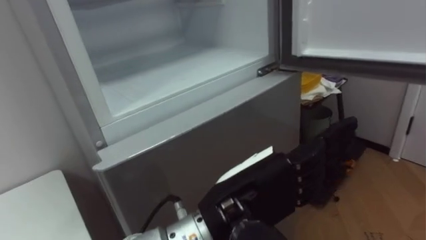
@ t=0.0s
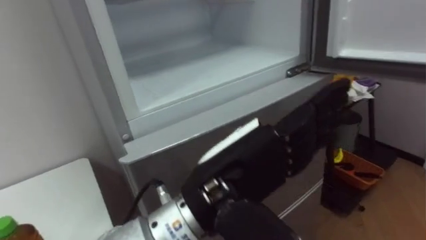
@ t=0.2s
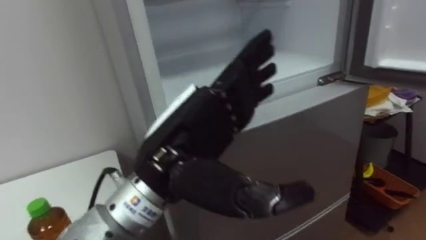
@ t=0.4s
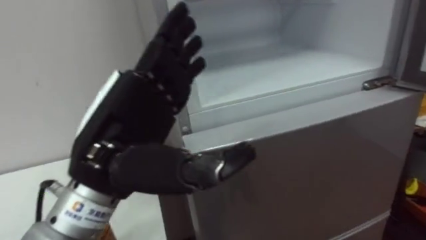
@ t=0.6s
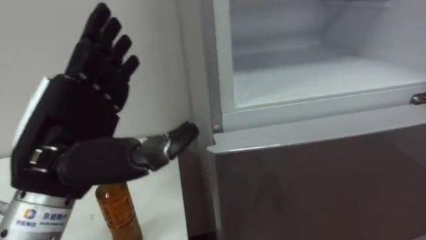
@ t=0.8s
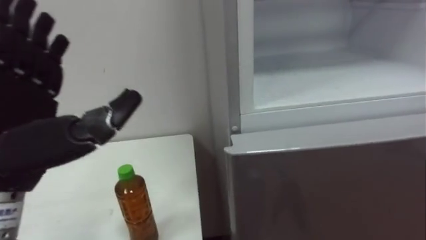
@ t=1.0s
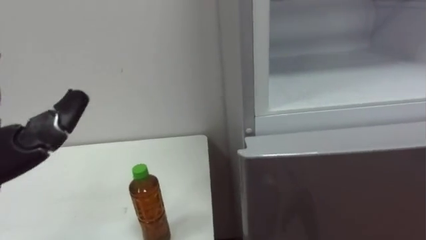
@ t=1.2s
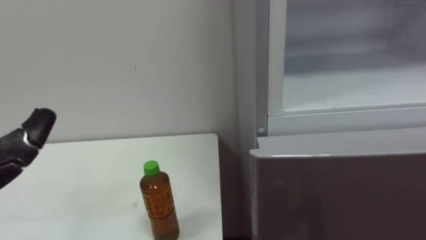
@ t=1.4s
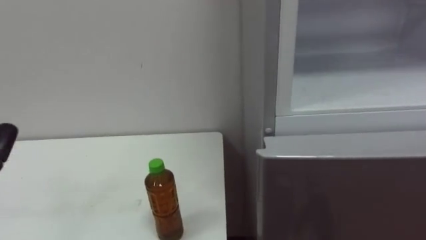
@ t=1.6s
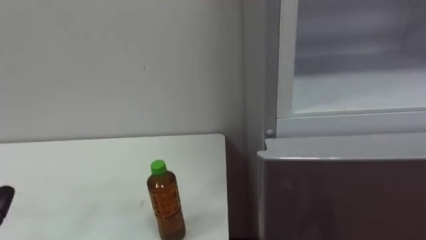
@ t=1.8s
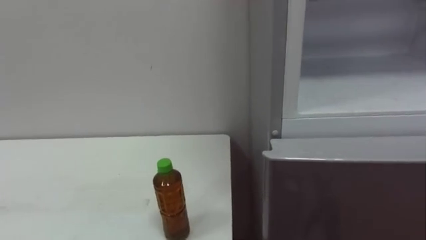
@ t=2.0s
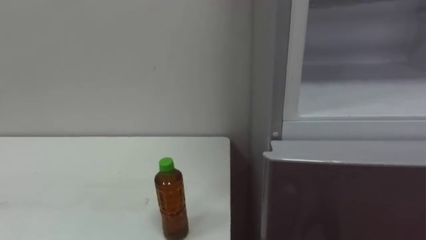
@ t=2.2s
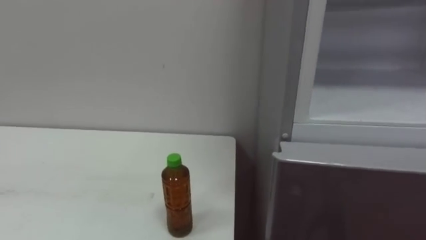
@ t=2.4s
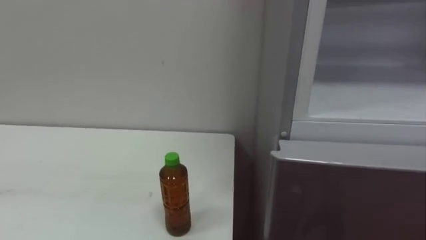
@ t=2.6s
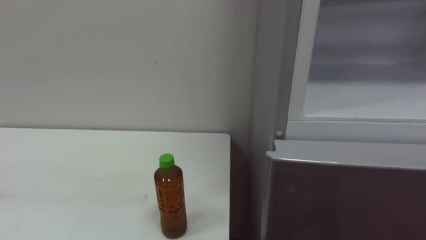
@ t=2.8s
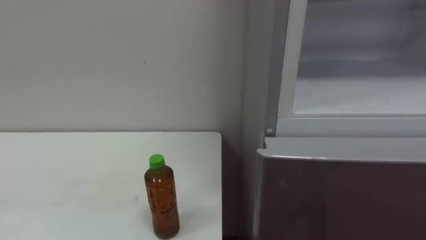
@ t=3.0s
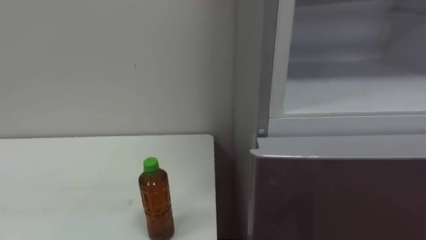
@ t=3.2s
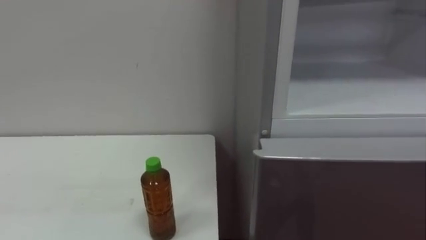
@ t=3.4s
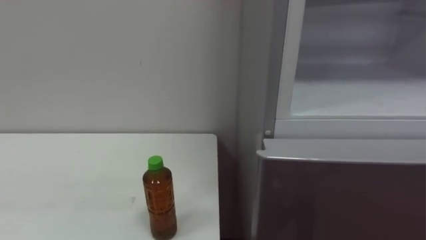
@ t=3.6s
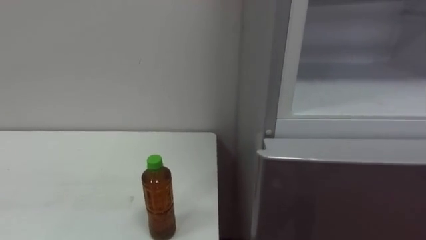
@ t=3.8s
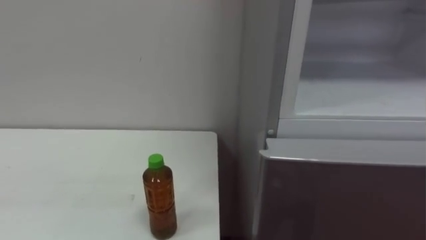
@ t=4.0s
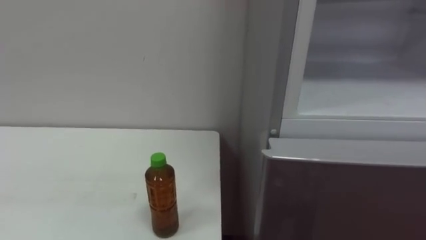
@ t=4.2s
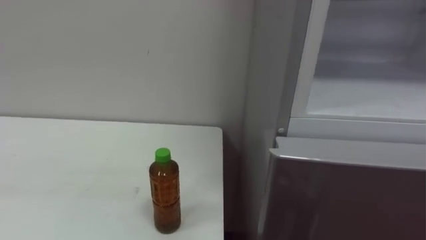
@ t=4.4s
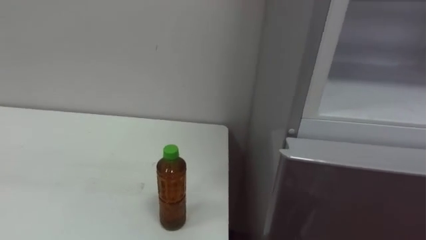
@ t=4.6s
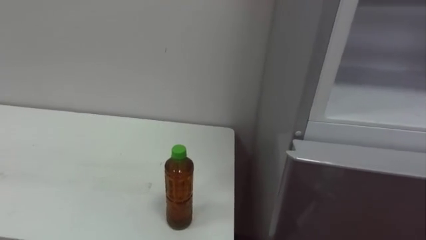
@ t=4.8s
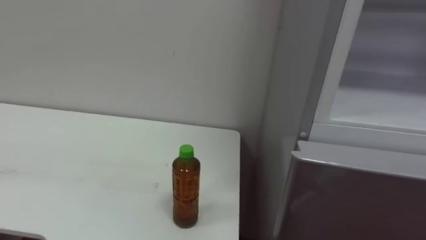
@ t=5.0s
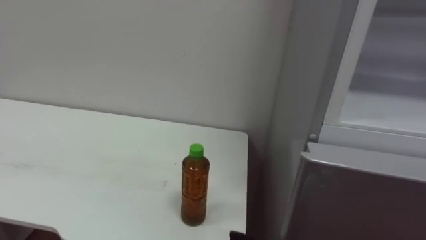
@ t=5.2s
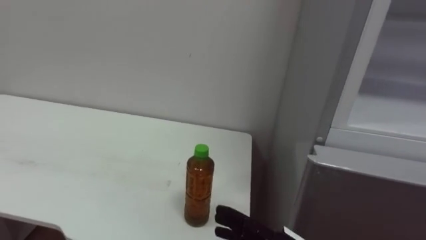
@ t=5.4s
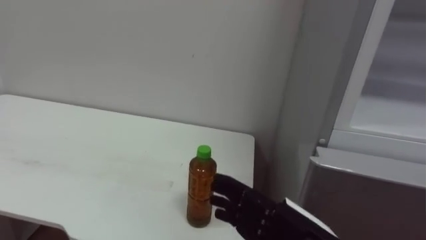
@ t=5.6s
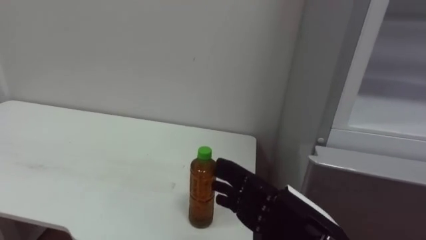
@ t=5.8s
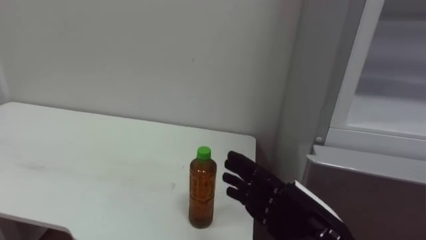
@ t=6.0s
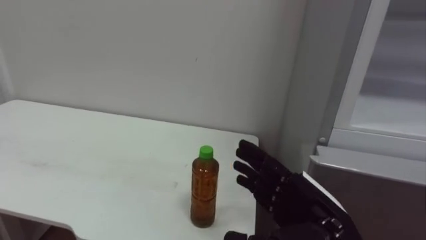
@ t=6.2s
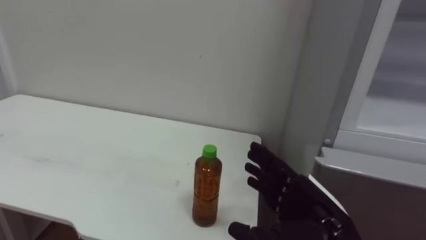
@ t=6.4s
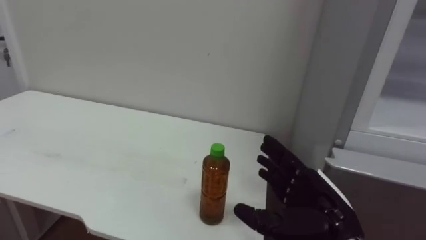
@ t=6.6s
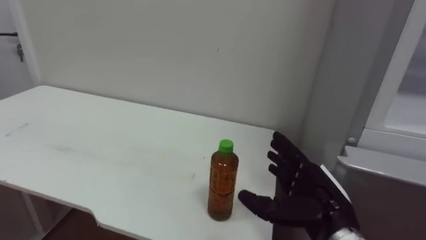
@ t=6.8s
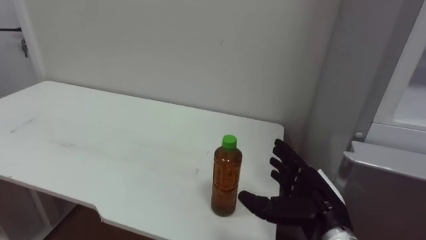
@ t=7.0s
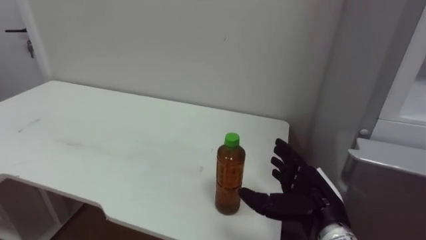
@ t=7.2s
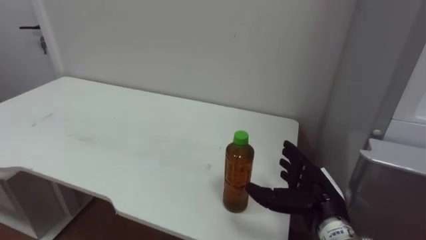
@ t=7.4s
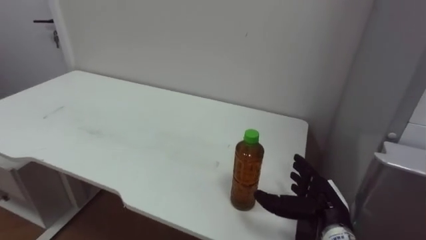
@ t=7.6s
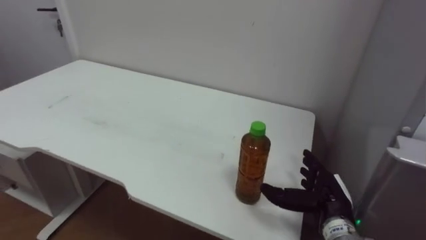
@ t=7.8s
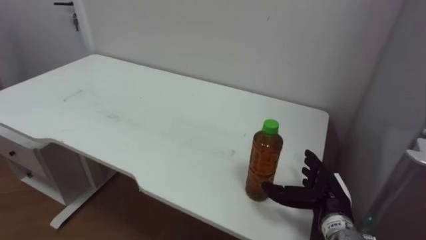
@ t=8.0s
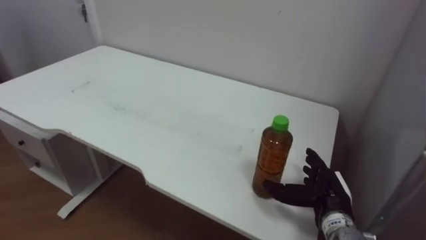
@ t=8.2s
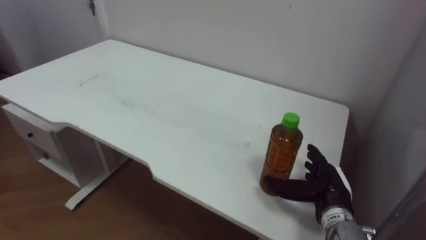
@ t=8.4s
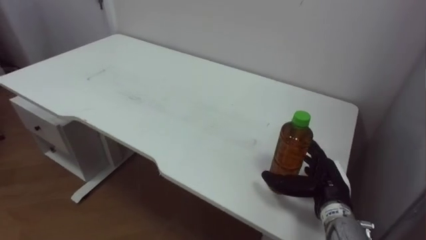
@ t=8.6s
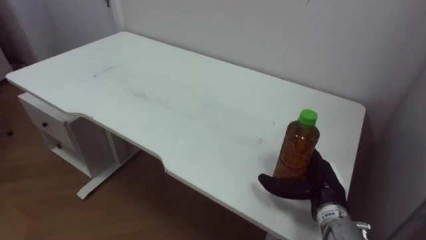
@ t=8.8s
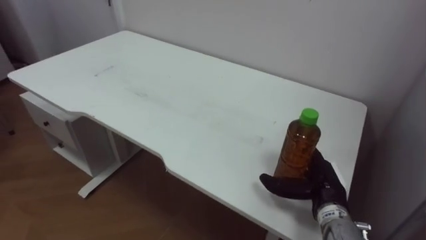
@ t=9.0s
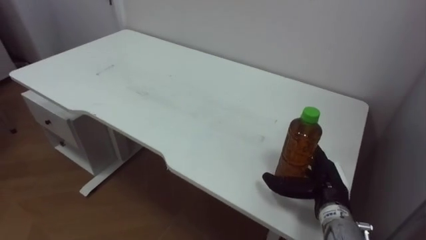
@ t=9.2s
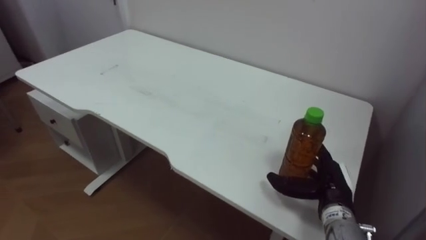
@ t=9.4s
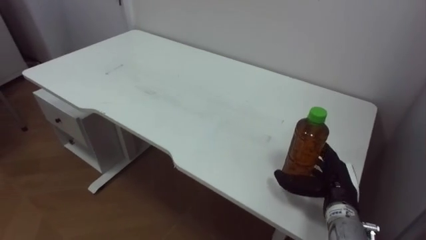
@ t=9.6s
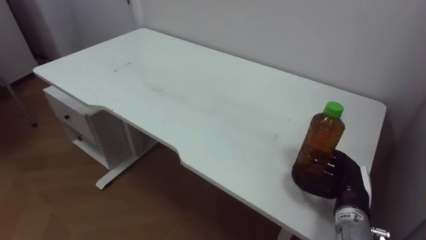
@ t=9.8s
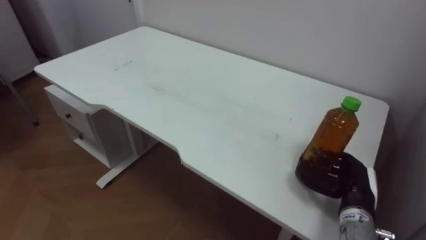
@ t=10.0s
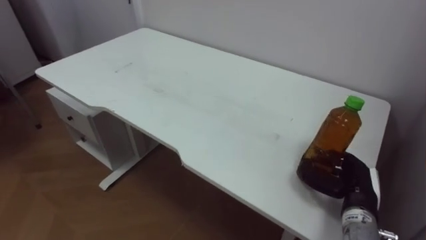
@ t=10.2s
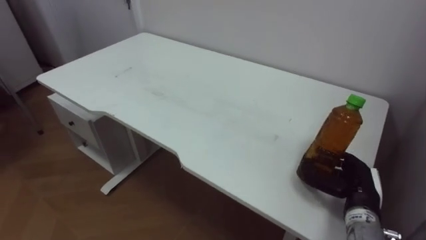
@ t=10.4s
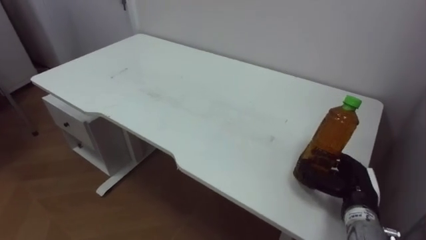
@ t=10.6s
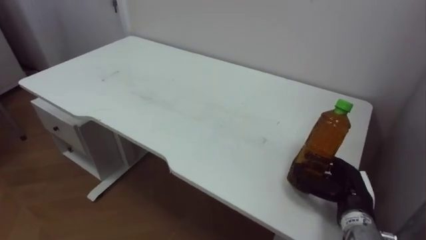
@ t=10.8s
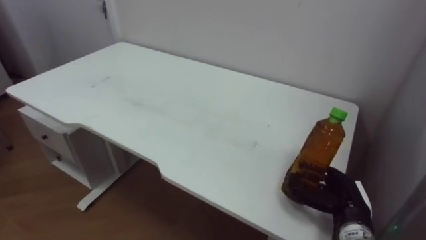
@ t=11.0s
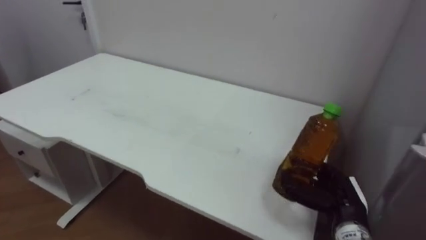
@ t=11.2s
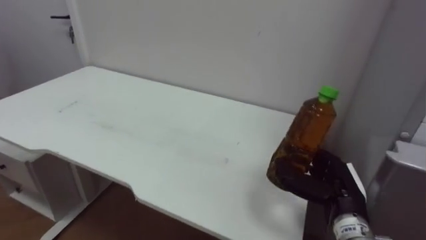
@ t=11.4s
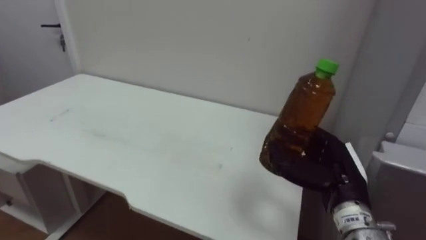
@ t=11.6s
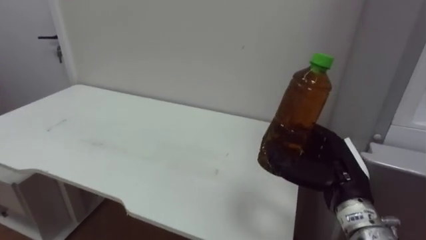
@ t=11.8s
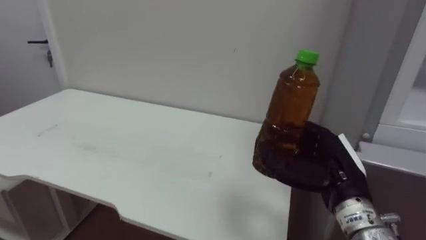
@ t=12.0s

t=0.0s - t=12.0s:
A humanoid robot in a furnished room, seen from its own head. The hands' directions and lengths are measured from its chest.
Task of the whole recording: Open the upper refrigerator door, put the drink from the table into the refrigerator, and then close the refrigerator door.
t=6.0s - t=7.6s: The right hand moves forward, downward and to the right, roughly 15 cm.
t=9.0s - t=10.4s: The right hand heads to the right, covering approximately 5 cm, and closes up.
t=10.4s - t=12.0s: The right hand goes roughly 10 cm upward and to the left.

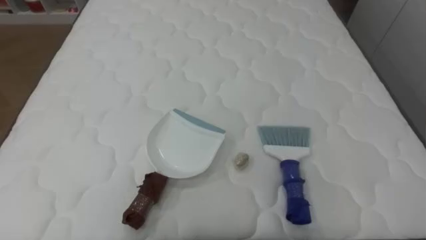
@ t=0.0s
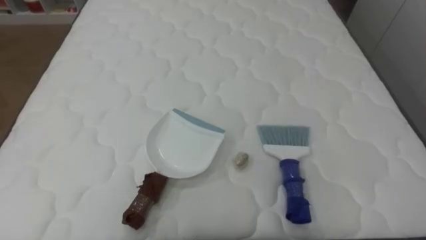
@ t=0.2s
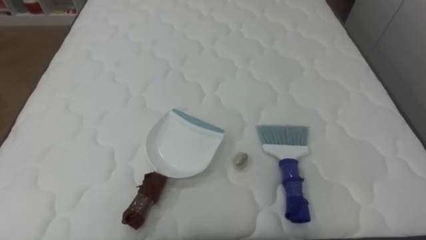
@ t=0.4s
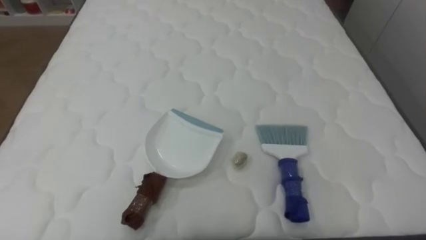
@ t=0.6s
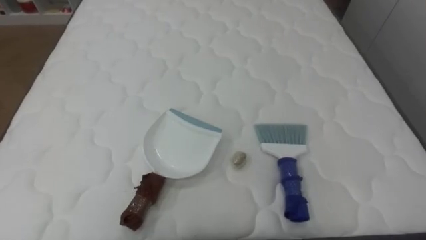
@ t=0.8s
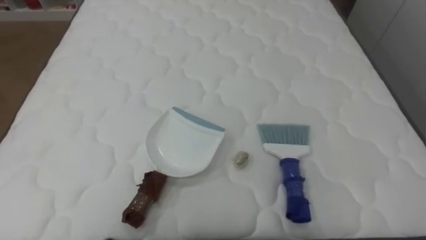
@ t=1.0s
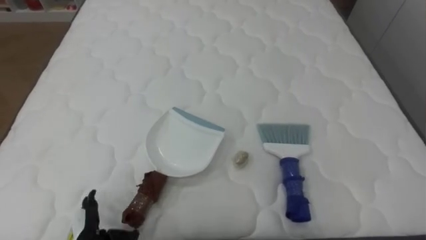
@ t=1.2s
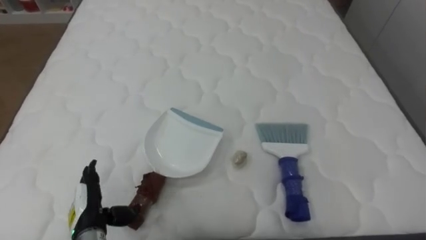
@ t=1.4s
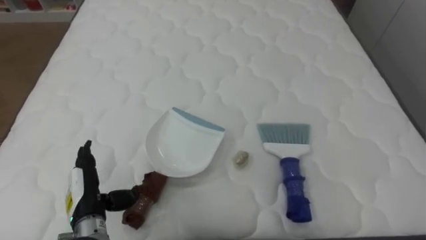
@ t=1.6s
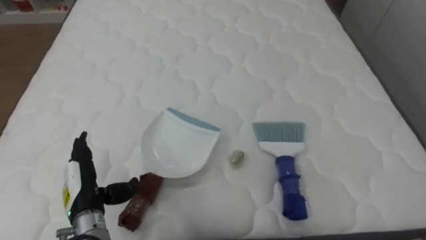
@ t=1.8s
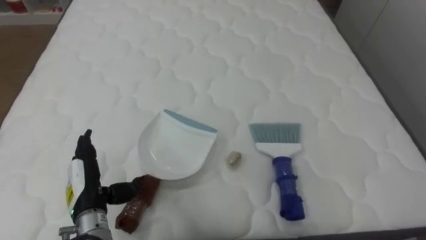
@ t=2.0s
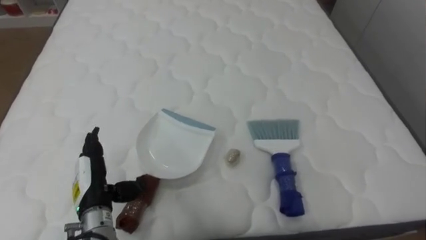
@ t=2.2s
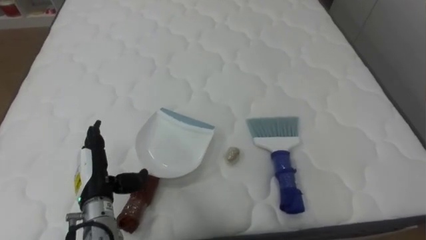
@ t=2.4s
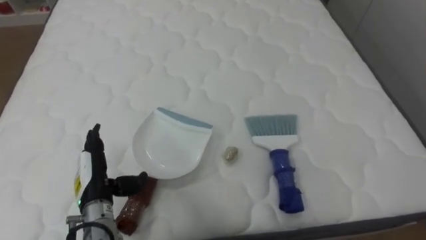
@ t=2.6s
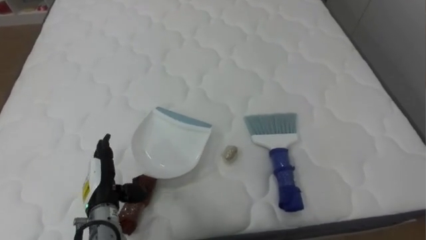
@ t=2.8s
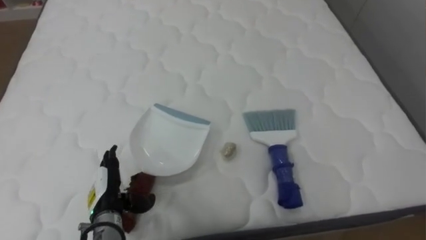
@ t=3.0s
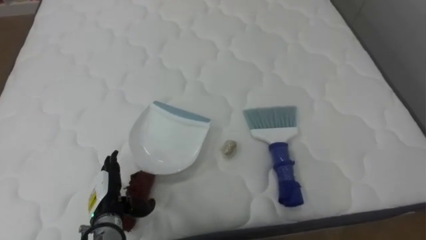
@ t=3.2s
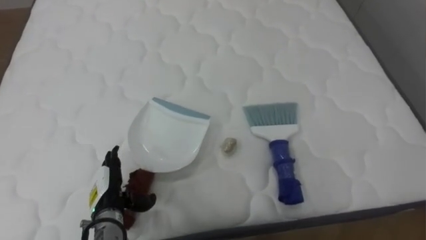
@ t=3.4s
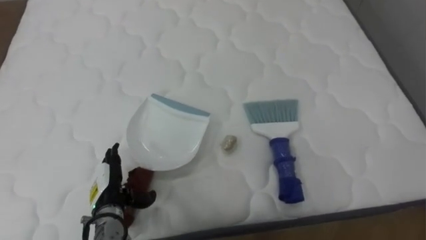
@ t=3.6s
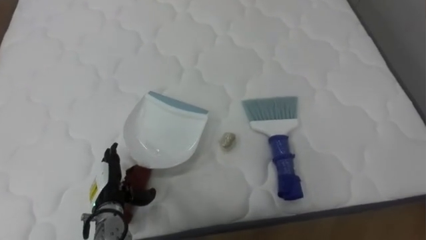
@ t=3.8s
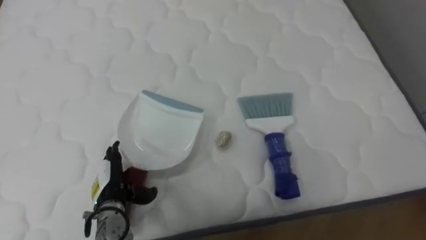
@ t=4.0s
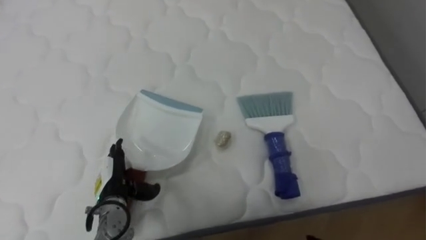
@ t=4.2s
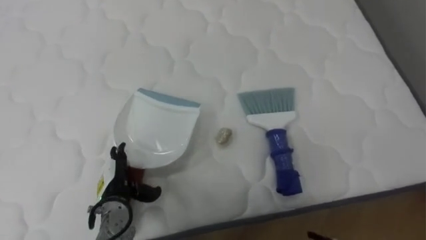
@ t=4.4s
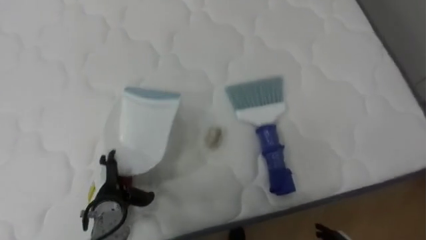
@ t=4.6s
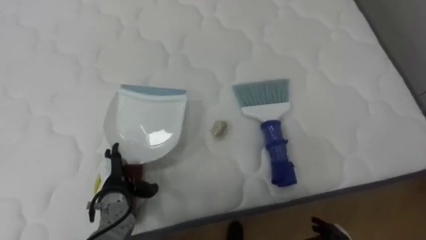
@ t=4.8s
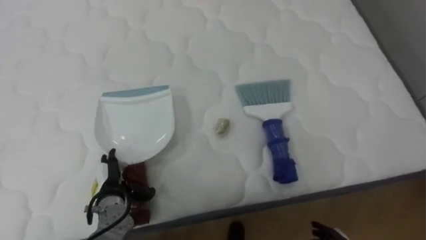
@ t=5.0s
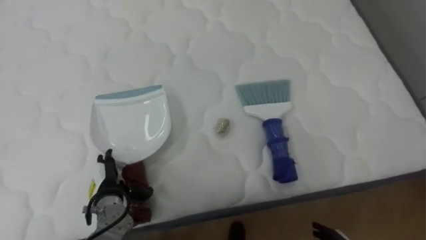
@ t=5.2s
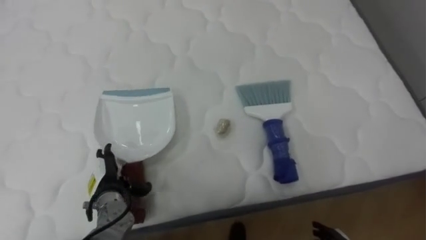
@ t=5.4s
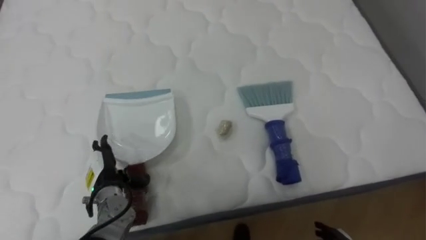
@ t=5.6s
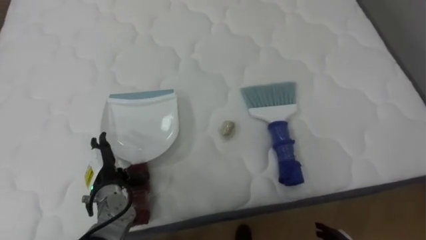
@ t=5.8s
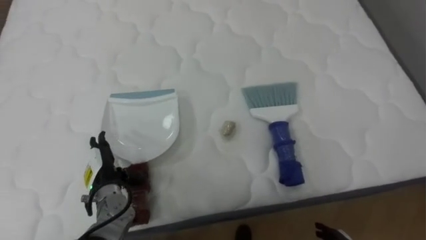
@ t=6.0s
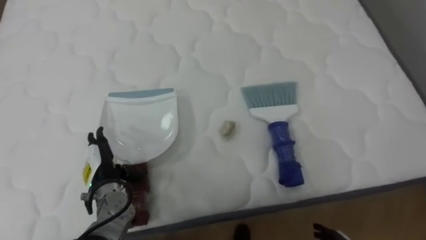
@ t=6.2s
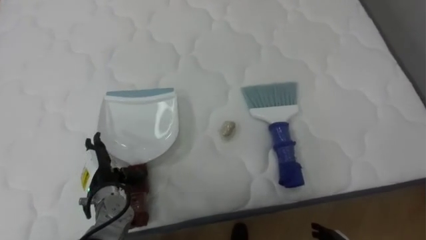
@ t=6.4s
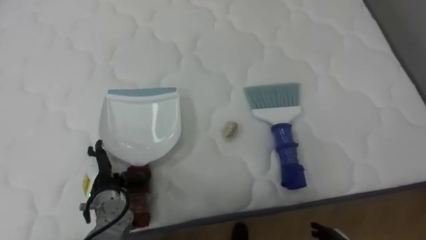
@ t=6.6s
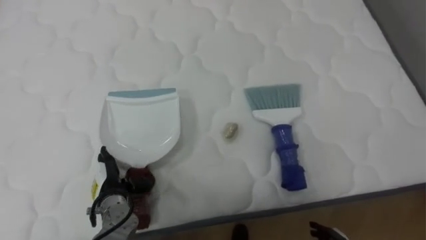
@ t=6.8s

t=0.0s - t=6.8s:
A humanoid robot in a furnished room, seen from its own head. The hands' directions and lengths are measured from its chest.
Task of the whole recording: Pick up the brush on your right and the dustpan on your left. Use the brush to sweep the crumpled paper on the bed into the dustpan, then turn left and empty it into the basket.
t=1.4s - t=2.8s: The left hand changes place by approximately 5 cm.
